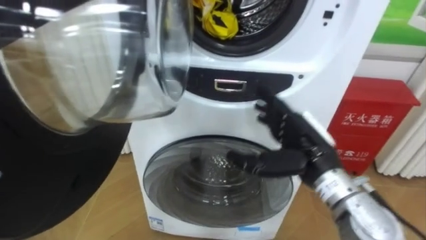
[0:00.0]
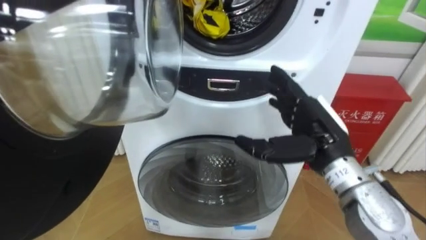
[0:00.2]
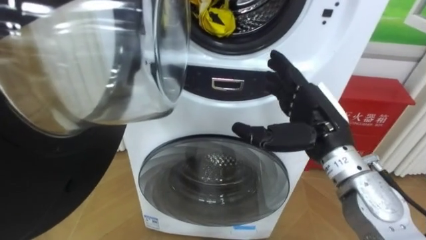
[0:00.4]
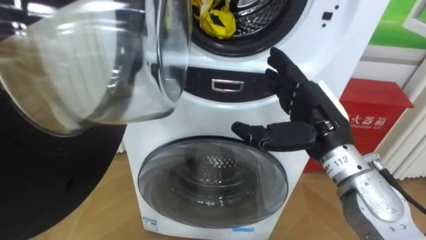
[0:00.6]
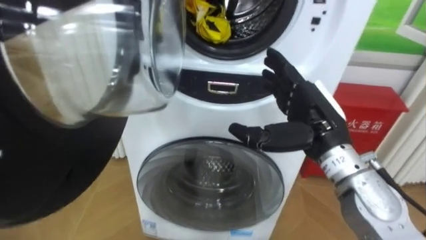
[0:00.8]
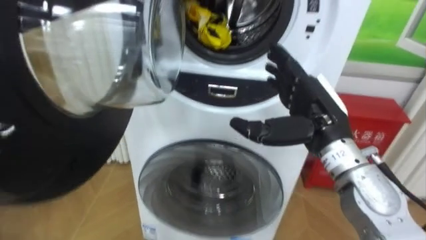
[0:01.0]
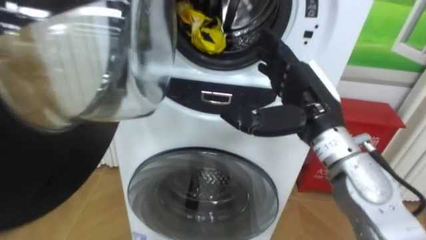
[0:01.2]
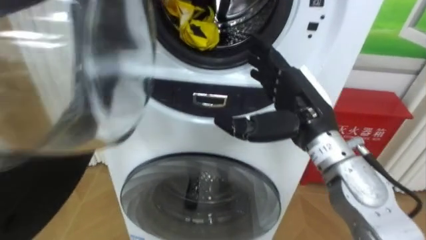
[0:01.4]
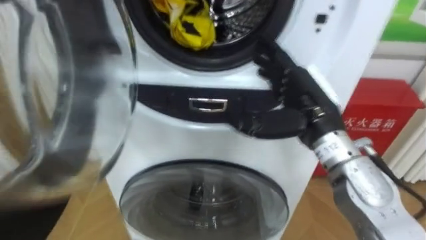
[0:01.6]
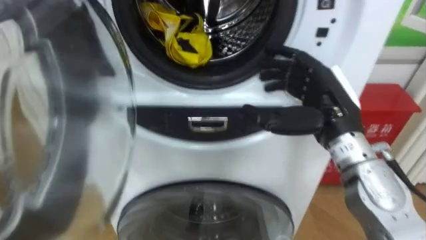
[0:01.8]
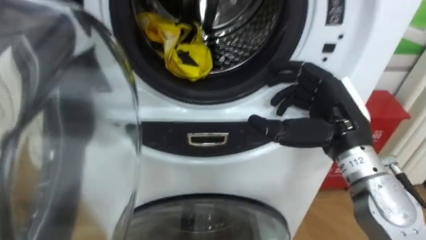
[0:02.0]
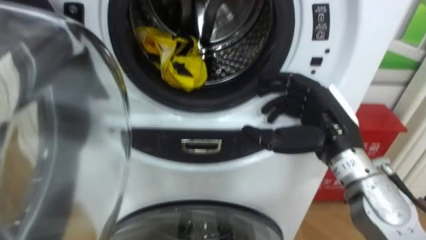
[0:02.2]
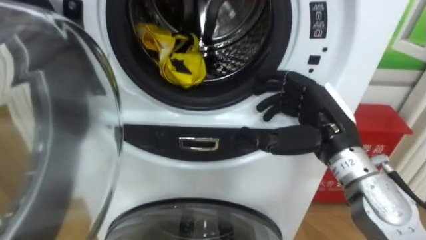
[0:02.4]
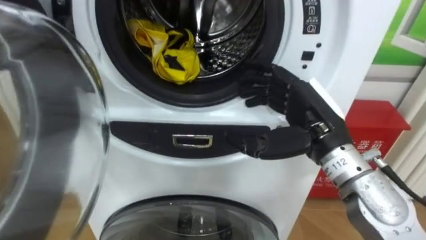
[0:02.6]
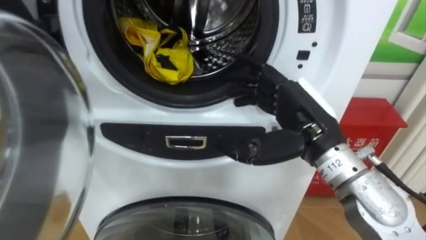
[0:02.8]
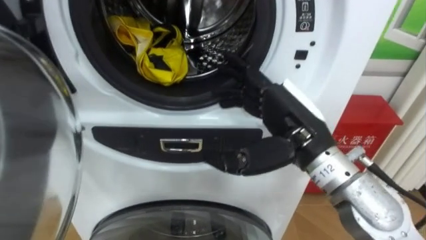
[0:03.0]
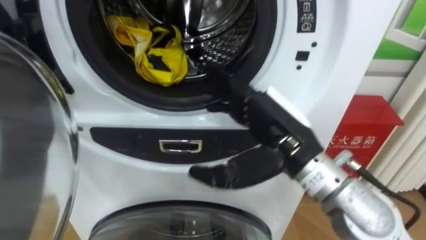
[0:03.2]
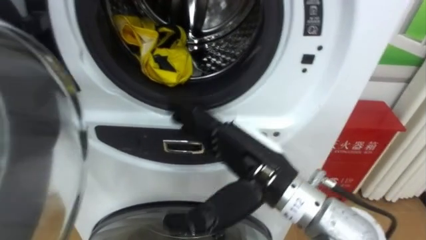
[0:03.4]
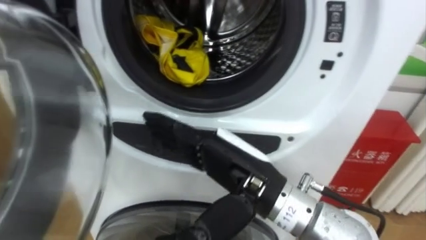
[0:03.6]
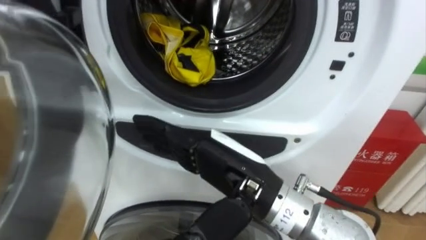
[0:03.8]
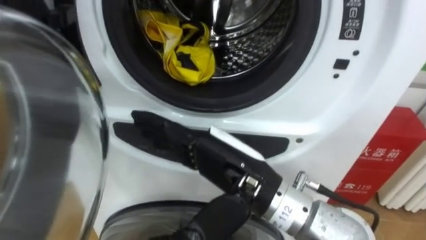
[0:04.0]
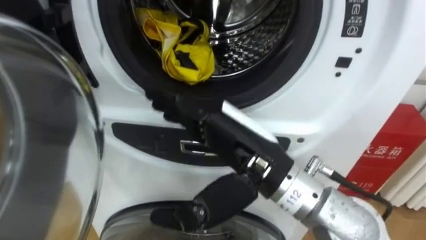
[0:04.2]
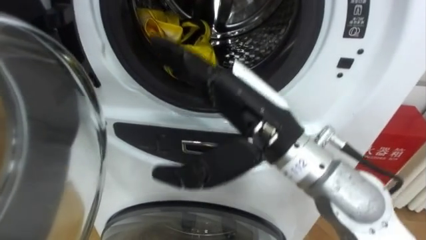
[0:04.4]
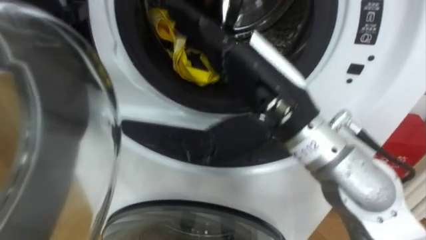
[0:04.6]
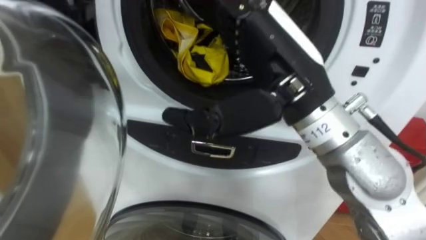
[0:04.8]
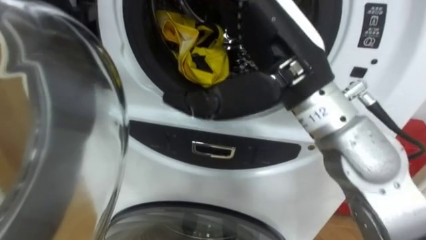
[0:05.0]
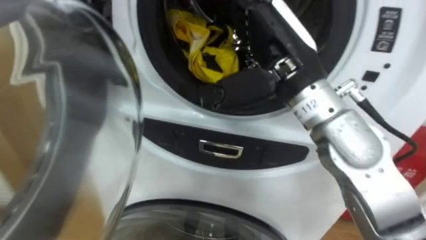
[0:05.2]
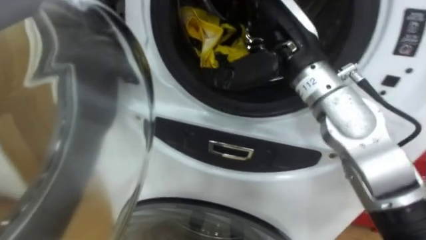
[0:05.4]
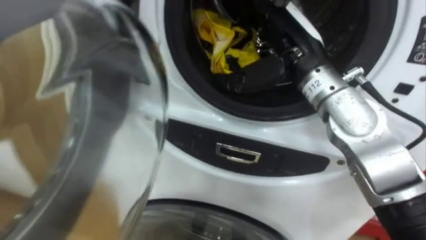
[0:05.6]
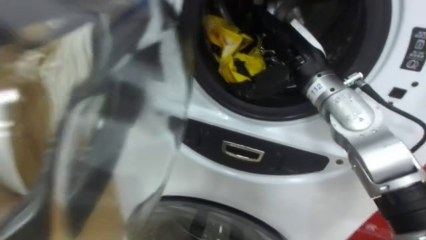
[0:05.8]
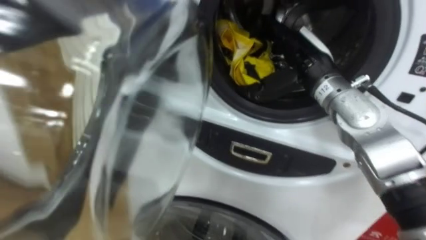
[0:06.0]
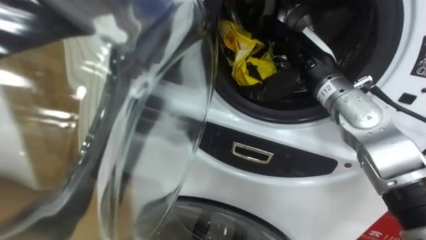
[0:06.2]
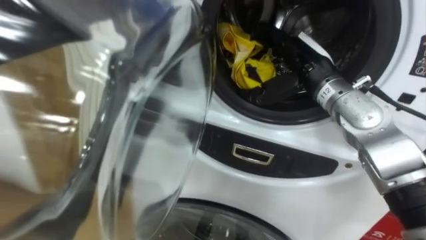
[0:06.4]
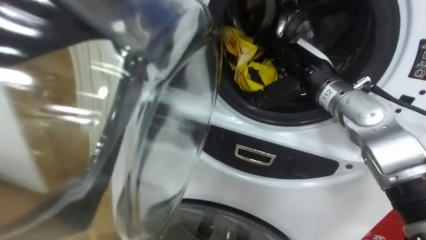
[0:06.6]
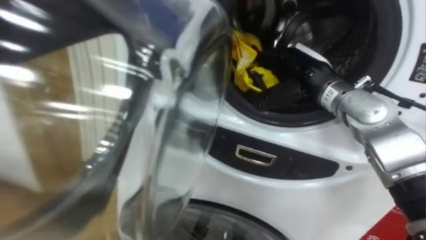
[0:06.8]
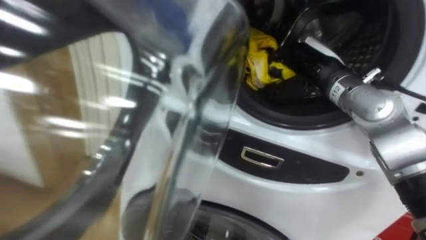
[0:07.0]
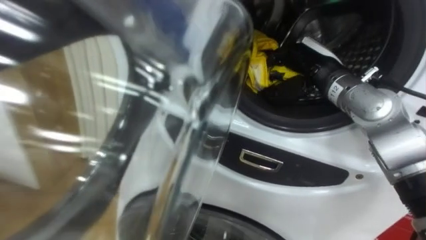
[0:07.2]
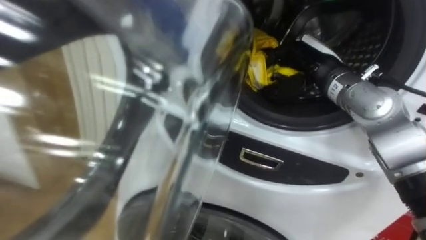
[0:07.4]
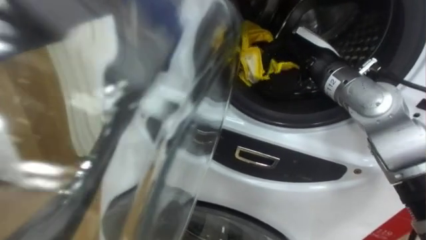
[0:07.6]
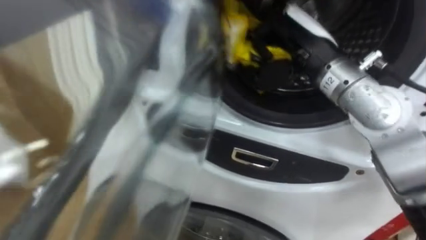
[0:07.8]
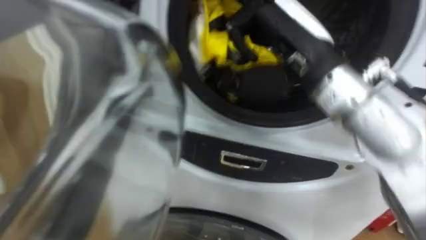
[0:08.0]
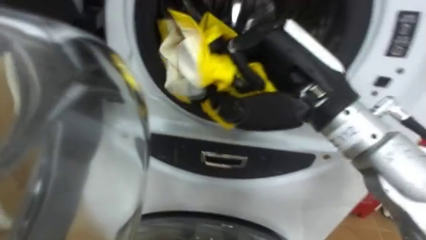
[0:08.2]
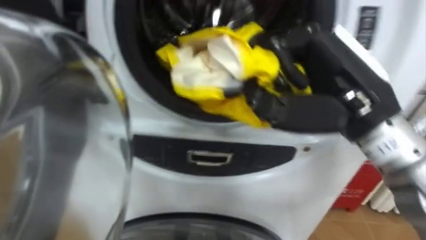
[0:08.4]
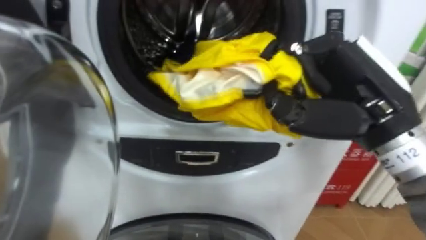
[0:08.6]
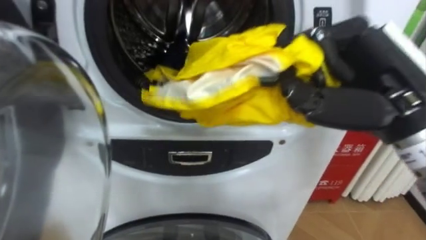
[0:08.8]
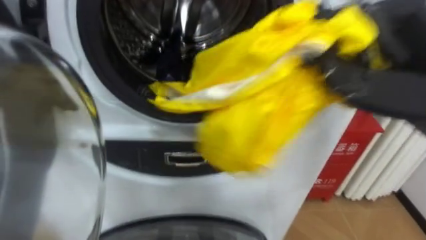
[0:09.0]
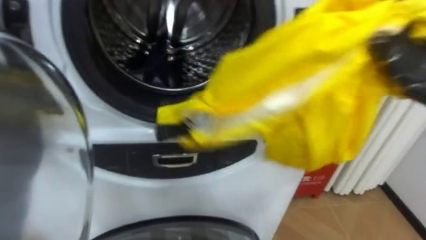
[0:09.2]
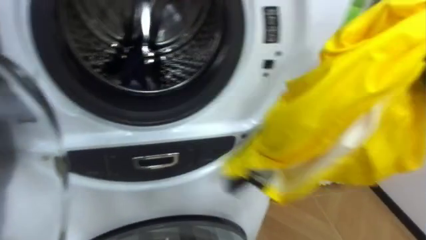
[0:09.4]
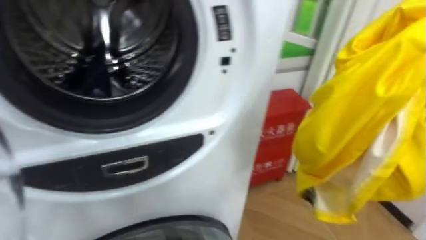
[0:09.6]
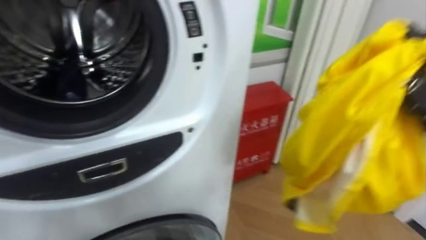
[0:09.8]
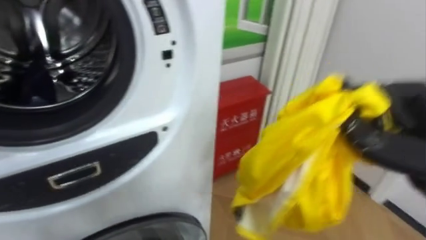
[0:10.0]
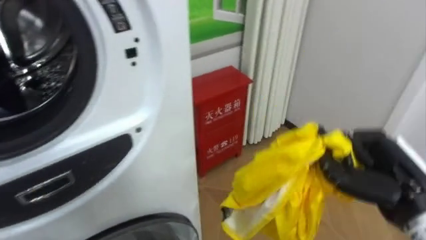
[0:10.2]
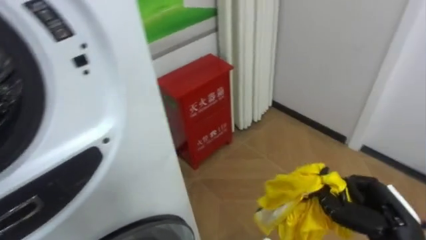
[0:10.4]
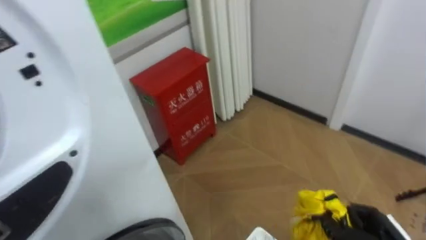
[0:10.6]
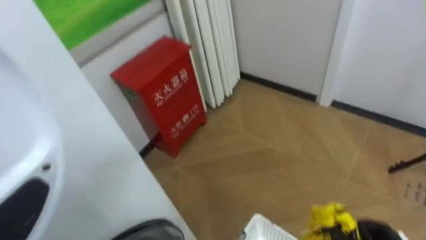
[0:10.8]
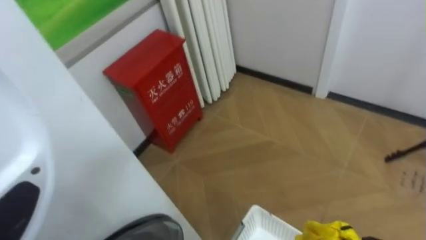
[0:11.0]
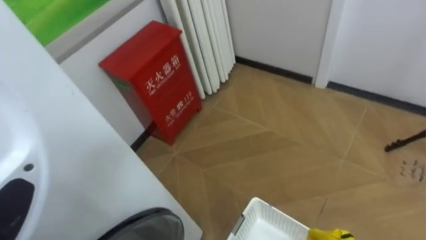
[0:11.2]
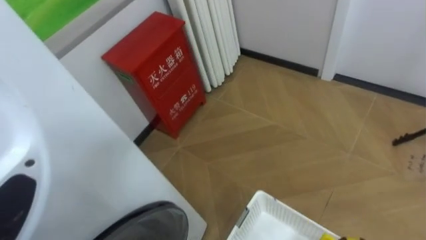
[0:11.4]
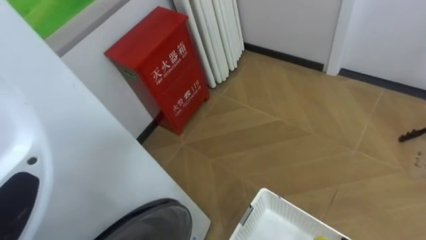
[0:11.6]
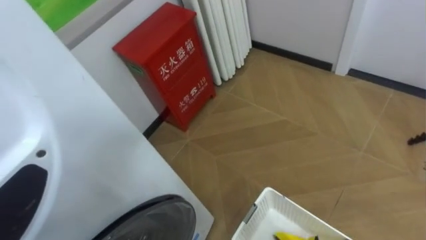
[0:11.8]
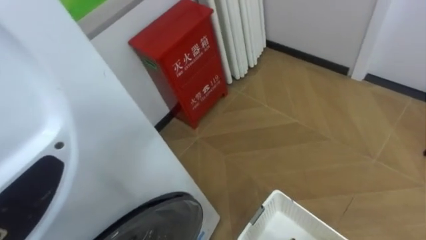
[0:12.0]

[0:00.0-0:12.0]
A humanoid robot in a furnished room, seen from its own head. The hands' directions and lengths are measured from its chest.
Task of the whole recording: Open the washing machine door, take out the yellow clothes, place them in the box on the right, and close the washing machine door.
0:00.0 to 0:01.6: The right hand heads upward, covering roughly 5 cm.
0:03.0 to 0:04.4: The right hand is displaced to the left by roughly 5 cm.
0:04.4 to 0:06.0: The right hand travels forward and to the right by roughly 20 cm.
0:06.0 to 0:07.6: The right hand closes its fingers.
0:07.6 to 0:09.0: The right hand shifts approximately 20 cm backward and upward.
0:09.0 to 0:10.4: The robot faces approximately 25 degrees further to its right.

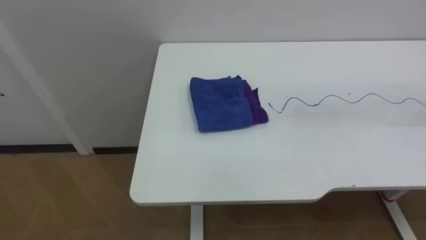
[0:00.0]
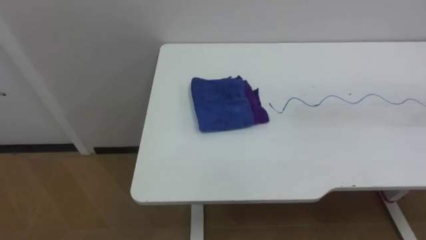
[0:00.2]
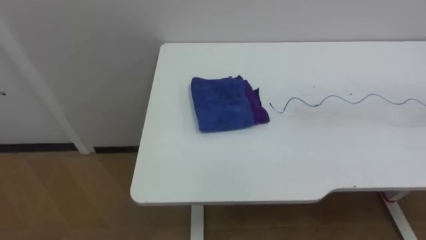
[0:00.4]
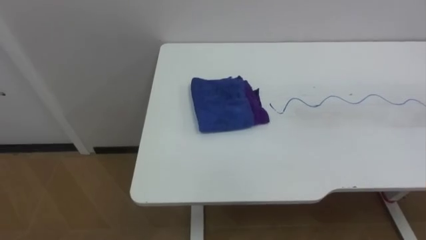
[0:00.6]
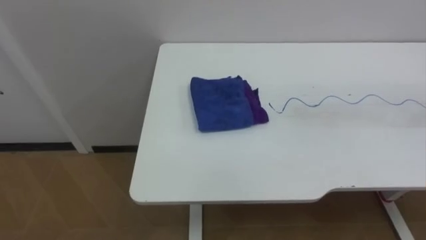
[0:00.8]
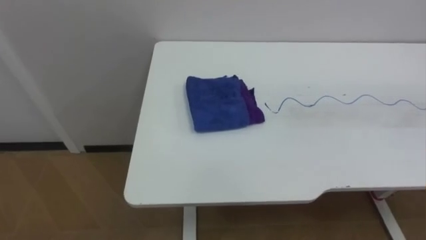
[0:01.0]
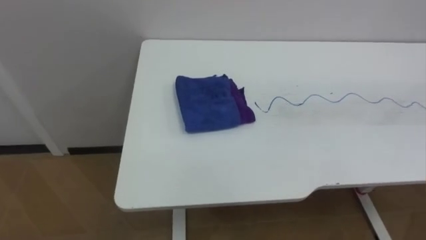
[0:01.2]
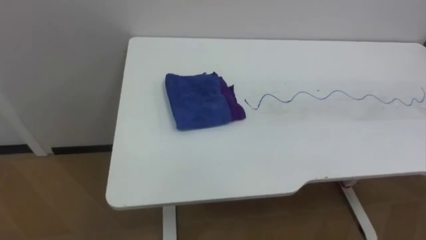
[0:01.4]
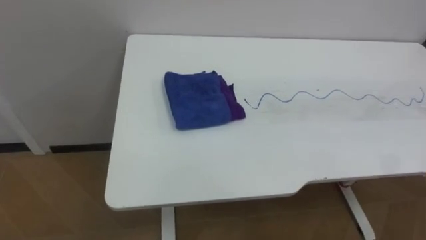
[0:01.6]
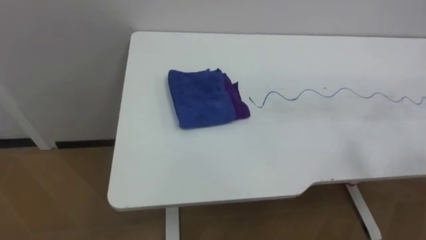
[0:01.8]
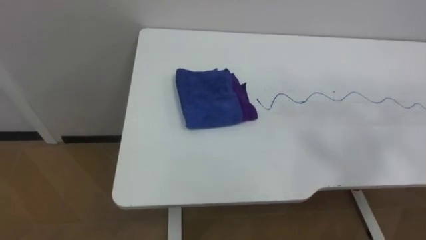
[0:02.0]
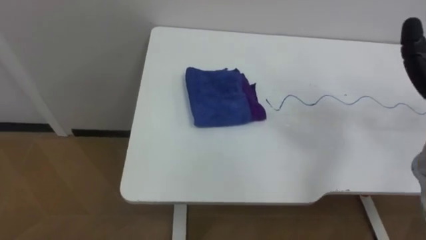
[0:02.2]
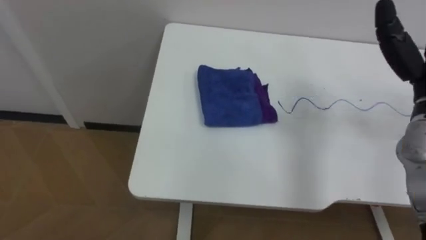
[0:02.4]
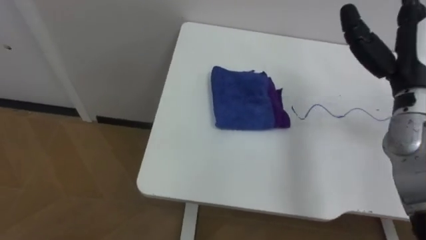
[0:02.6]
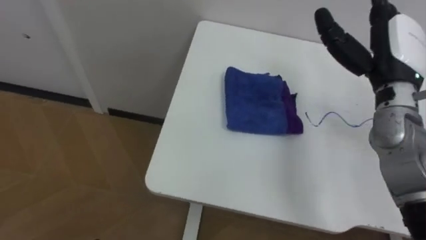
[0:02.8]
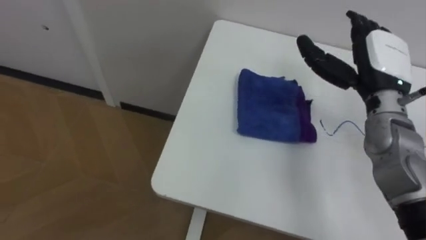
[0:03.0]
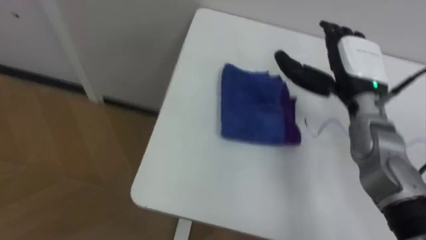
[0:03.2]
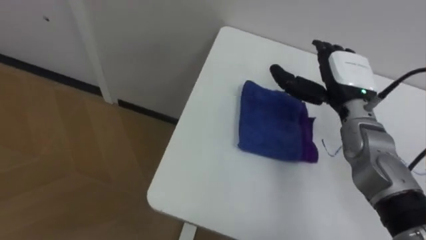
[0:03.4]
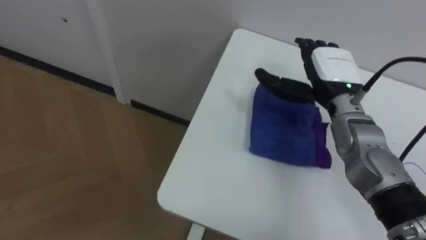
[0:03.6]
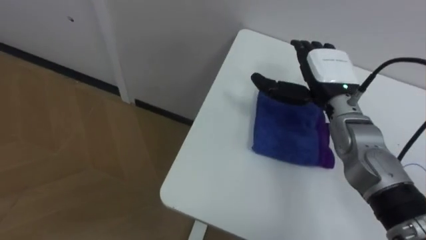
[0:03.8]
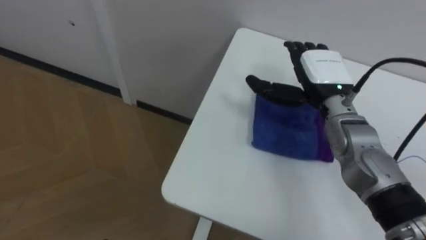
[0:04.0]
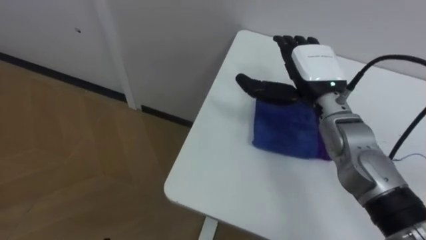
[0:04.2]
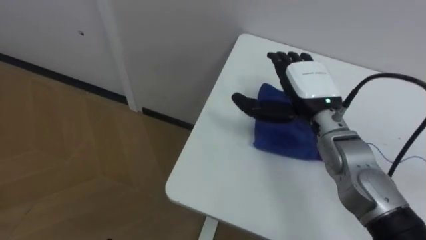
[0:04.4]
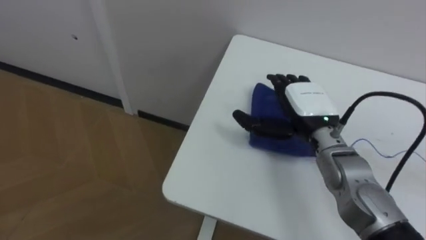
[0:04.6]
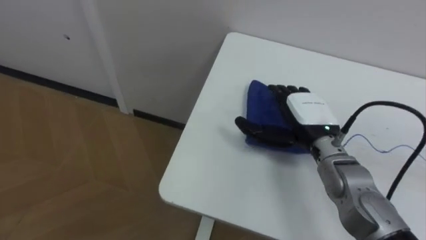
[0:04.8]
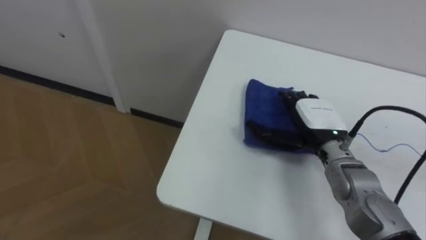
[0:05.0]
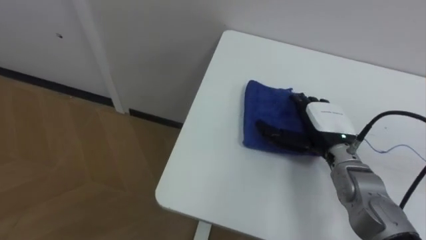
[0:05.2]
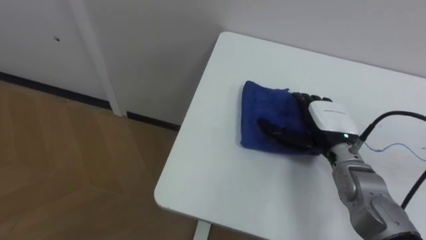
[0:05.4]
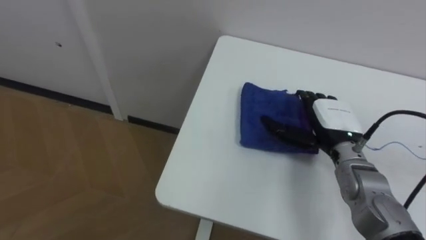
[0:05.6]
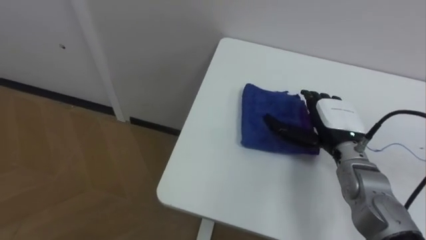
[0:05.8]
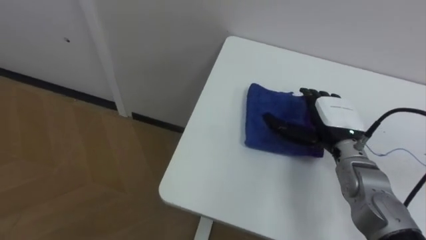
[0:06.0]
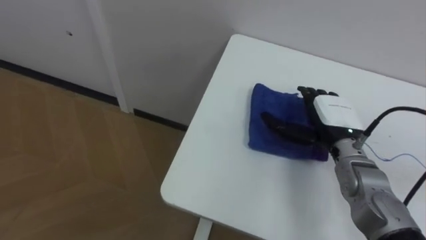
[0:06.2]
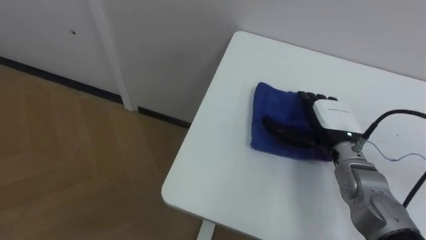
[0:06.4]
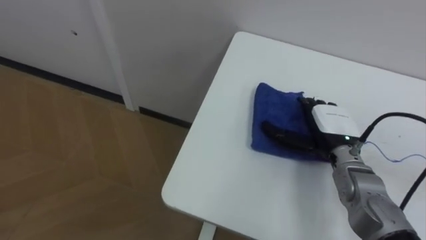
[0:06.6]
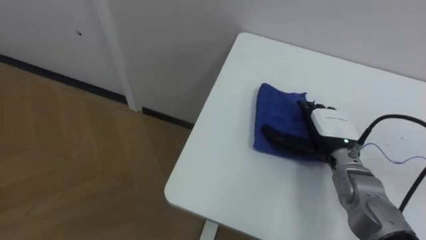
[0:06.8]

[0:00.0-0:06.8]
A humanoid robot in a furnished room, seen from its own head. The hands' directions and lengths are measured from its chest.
Task of the whole recording: Wipe the blue pen marks off the table with the rag.
0:02.8 to 0:04.0: The right hand heads to the left and downward, covering about 10 cm.
0:04.0 to 0:05.4: The right hand moves downward and backward, about 10 cm.
